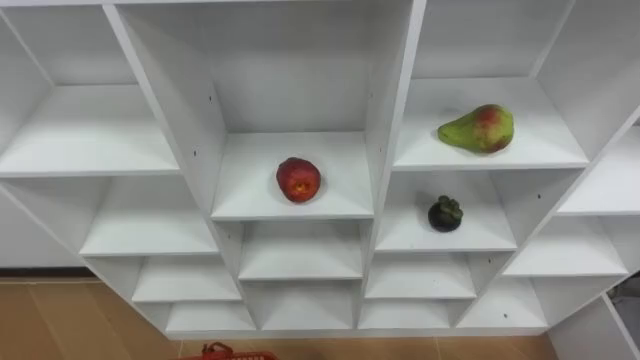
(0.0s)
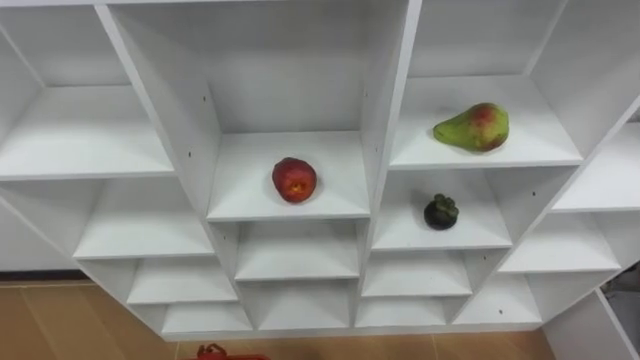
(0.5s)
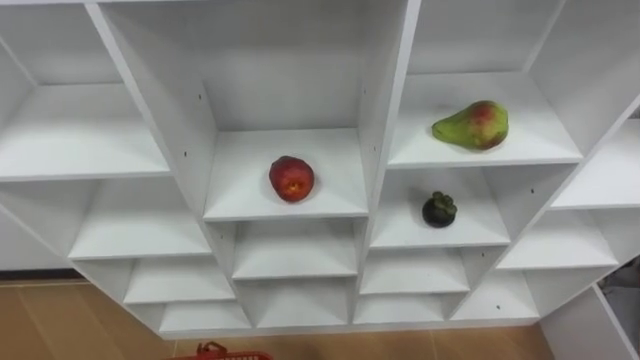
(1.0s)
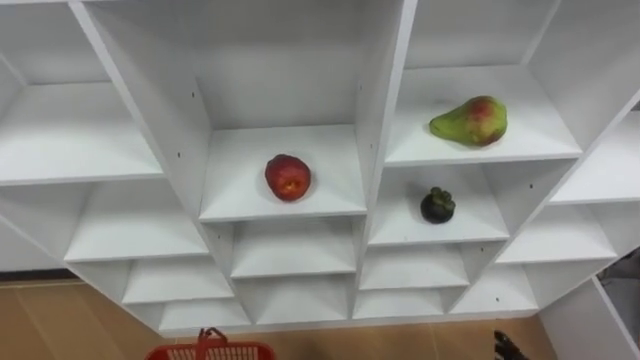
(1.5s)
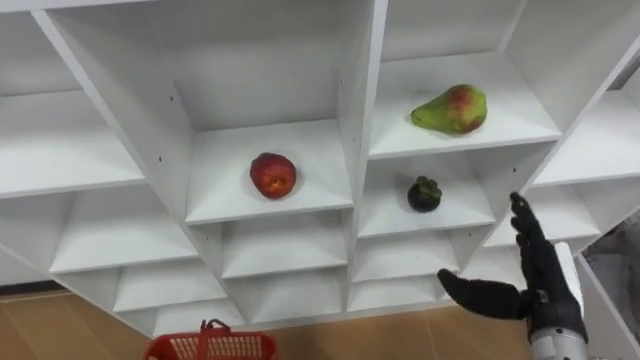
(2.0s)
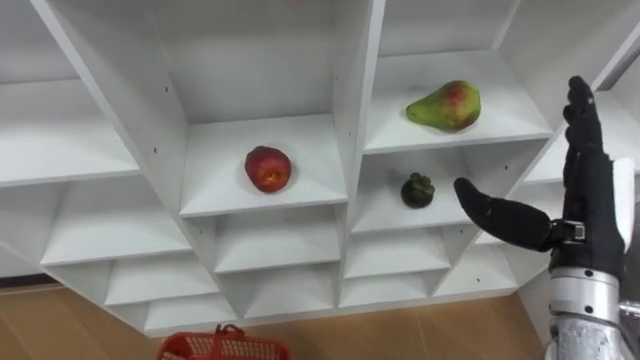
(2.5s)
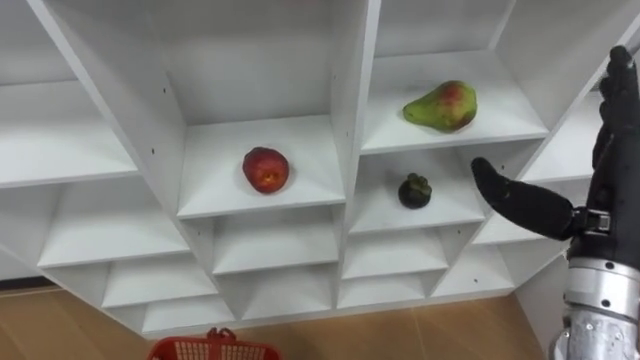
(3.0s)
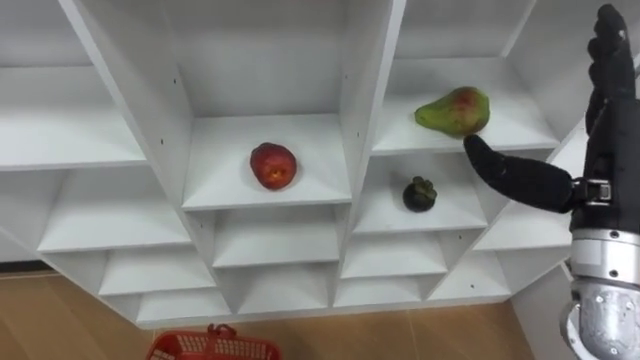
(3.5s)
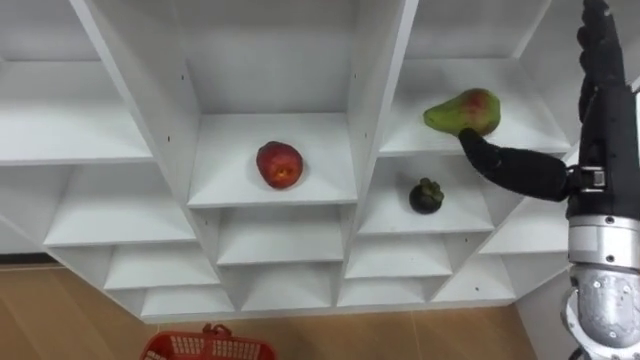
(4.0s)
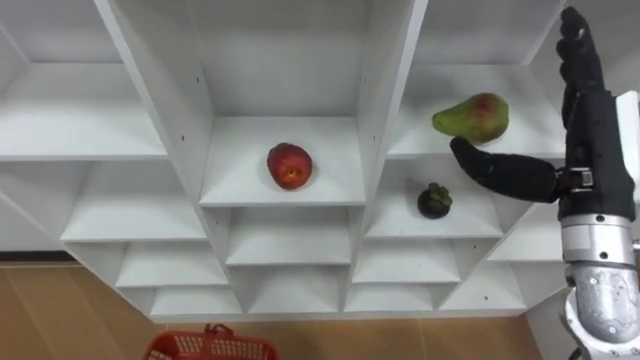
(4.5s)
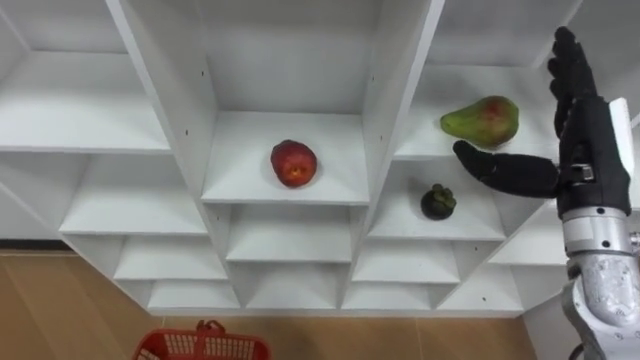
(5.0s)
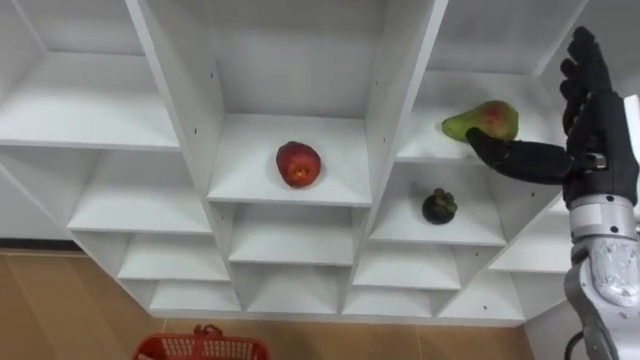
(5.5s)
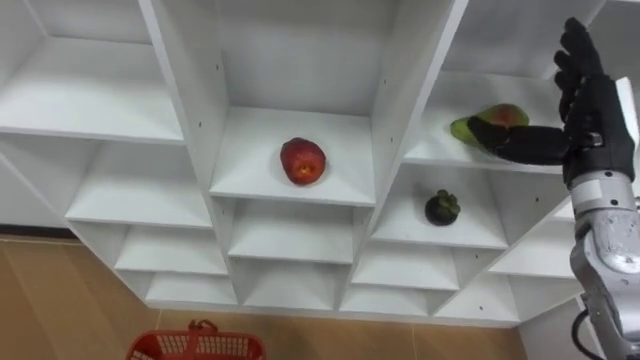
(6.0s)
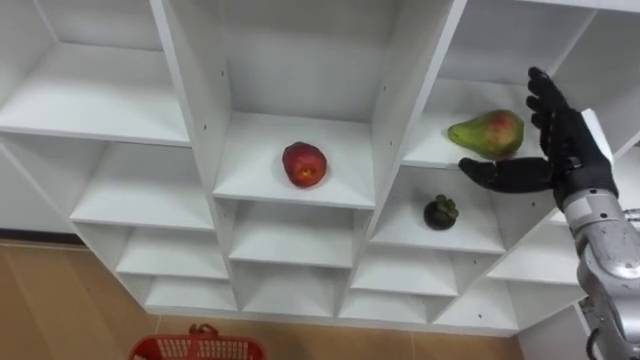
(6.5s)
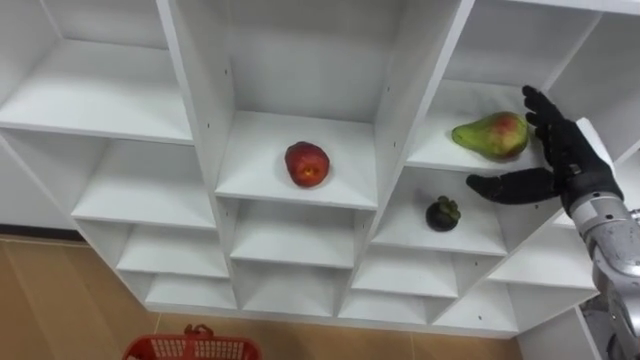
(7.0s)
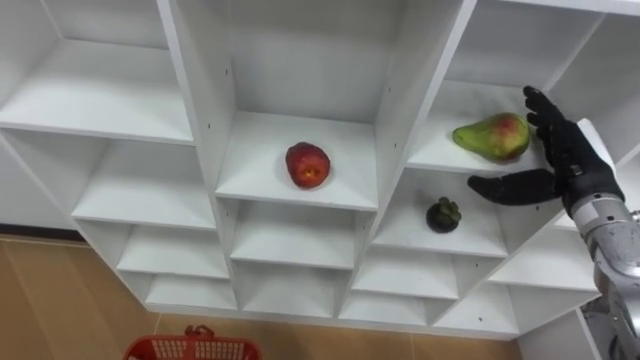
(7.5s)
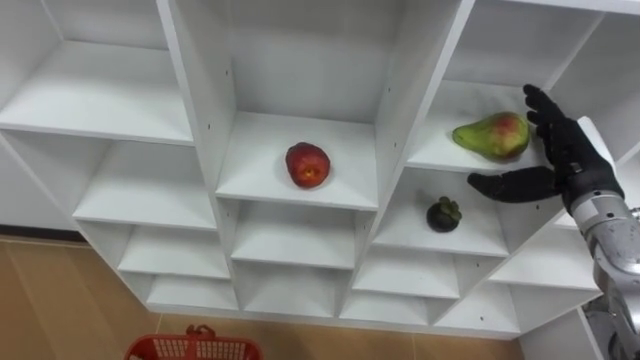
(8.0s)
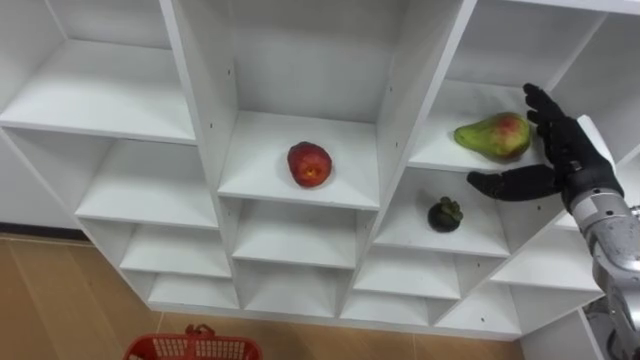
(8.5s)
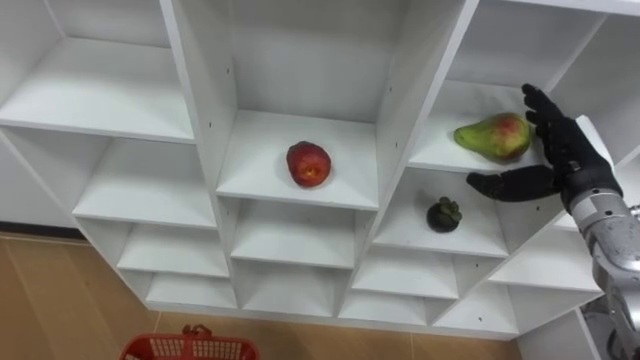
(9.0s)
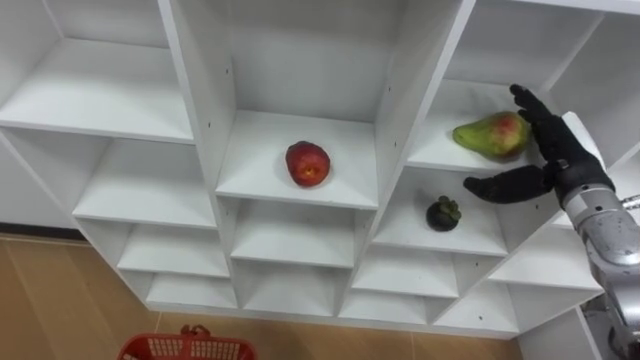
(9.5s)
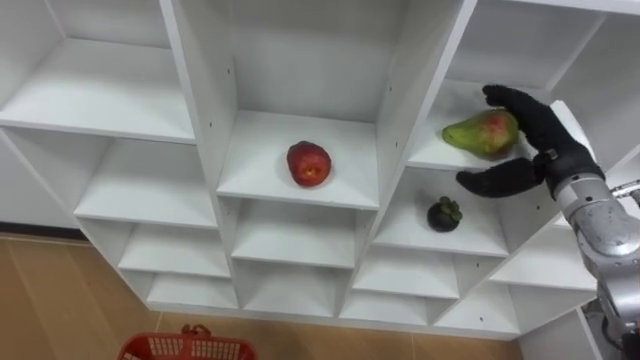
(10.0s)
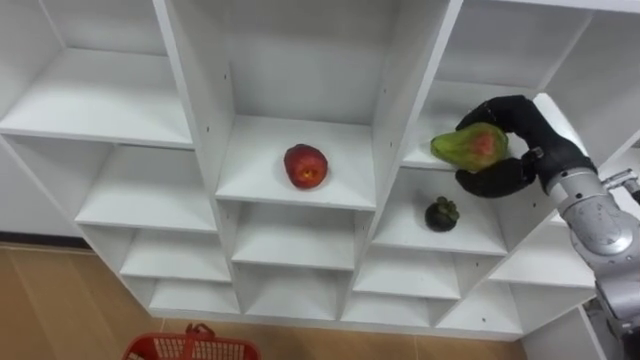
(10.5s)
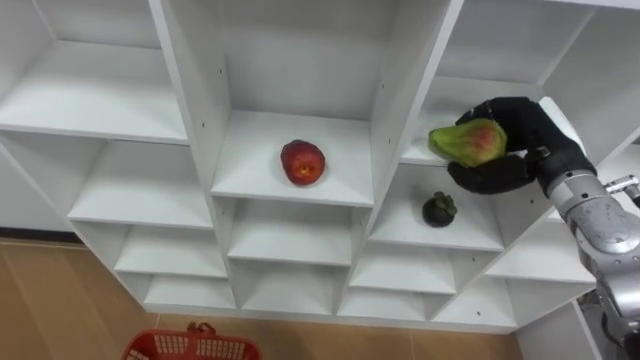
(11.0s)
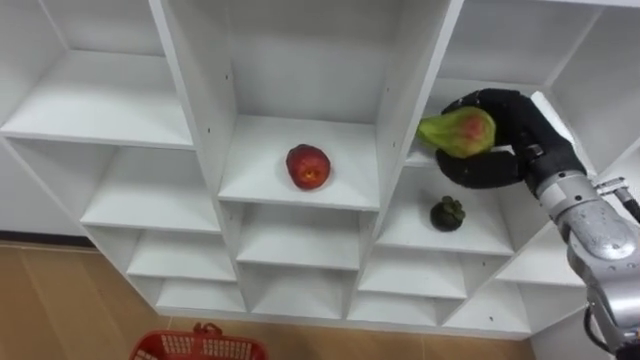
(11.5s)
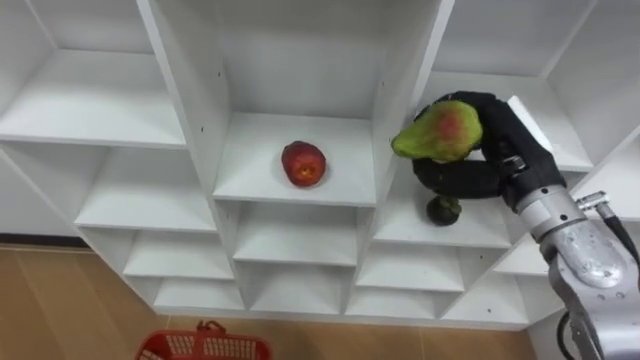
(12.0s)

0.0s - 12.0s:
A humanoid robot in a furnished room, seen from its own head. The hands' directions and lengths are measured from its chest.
Task of the whole recording: Hold the basket and collect the fruits from 3 different cells of the closet into it.
2.0s - 4.0s: The right hand travels upward by some 20 cm.
4.0s - 6.0s: The right hand shifts some 5 cm forward.
6.0s - 8.0s: The right hand shifts about 5 cm downward.
10.0s - 12.0s: The right hand moves to the left, about 5 cm, and closes.

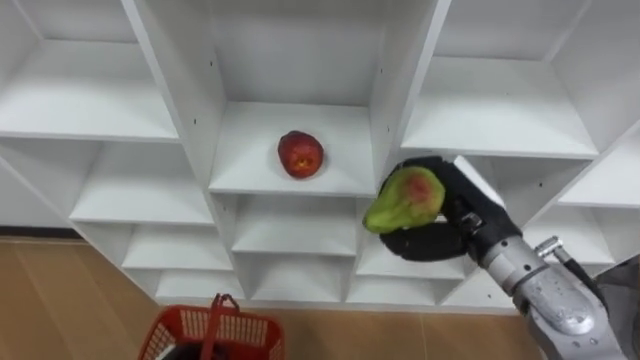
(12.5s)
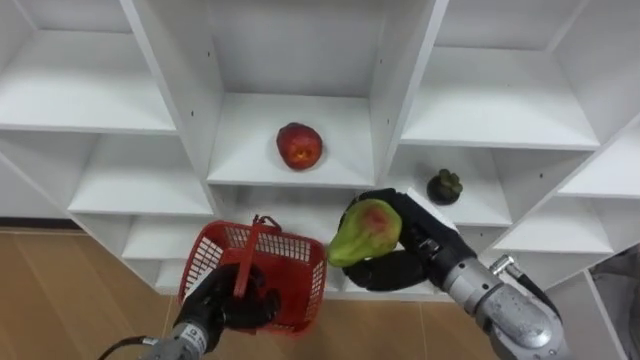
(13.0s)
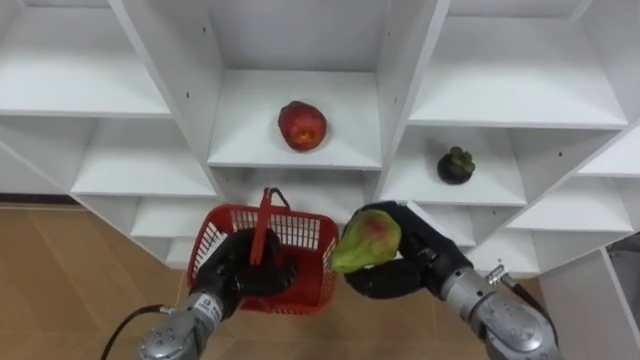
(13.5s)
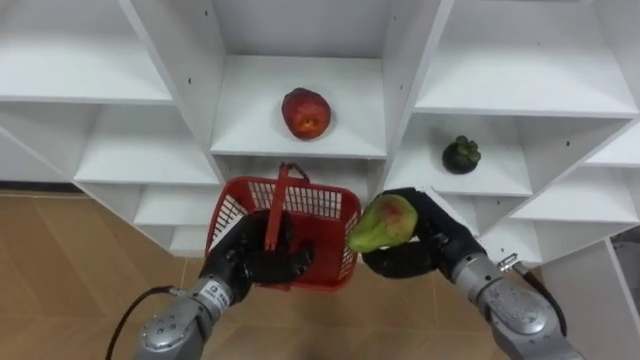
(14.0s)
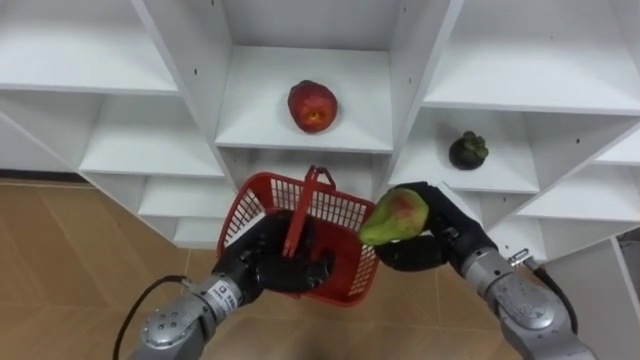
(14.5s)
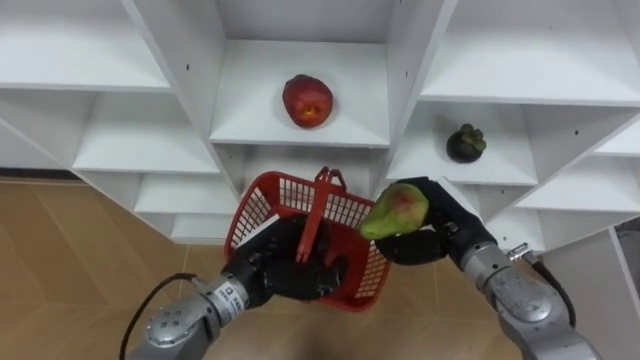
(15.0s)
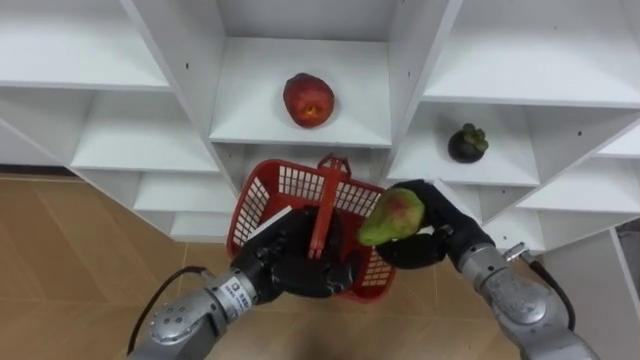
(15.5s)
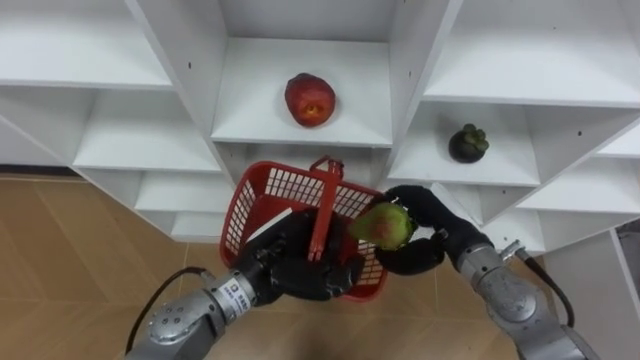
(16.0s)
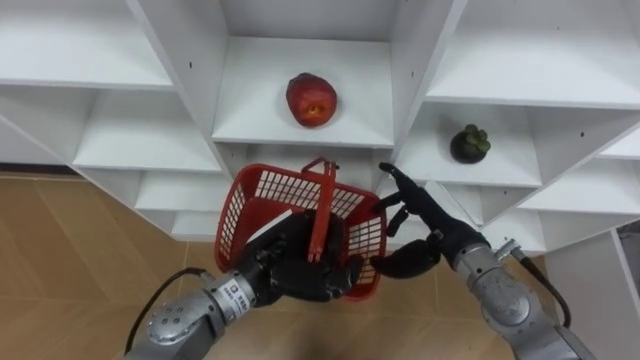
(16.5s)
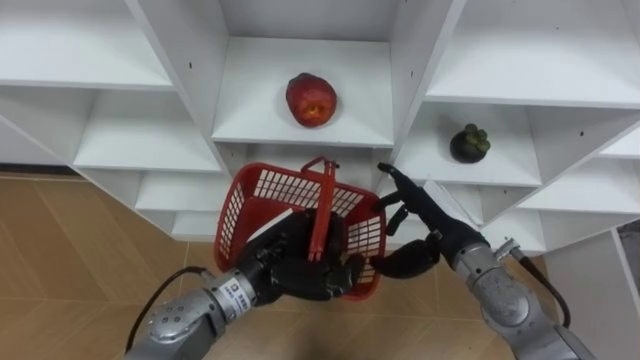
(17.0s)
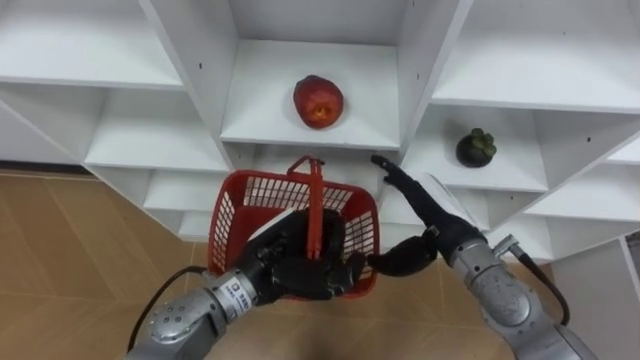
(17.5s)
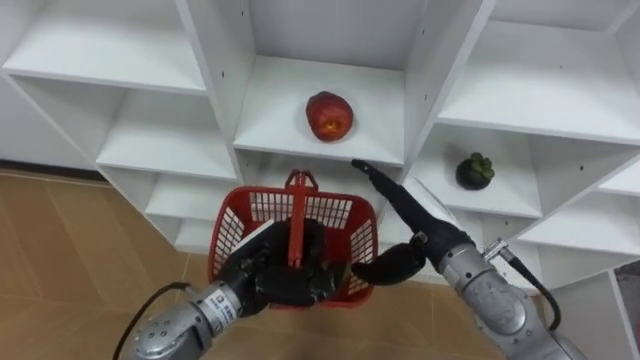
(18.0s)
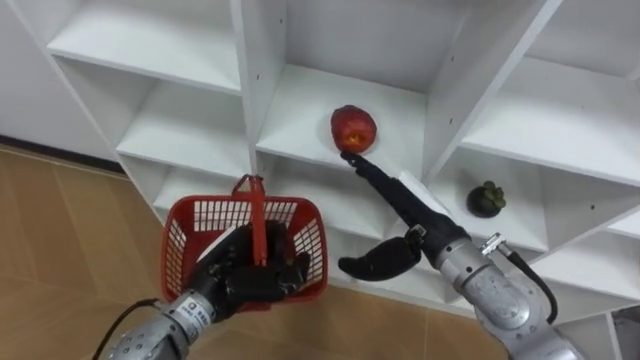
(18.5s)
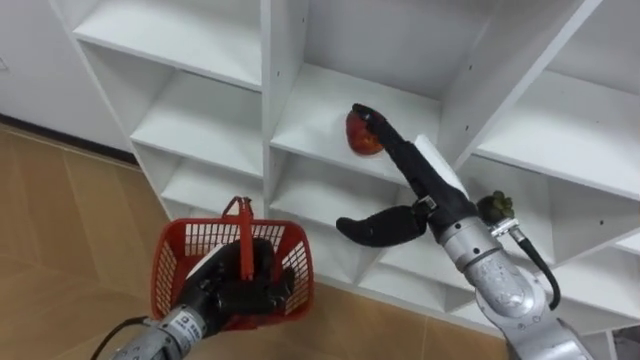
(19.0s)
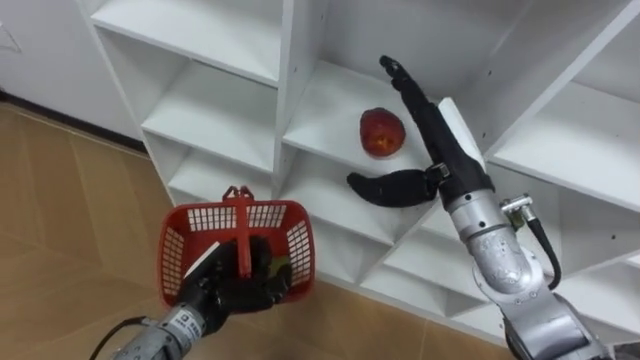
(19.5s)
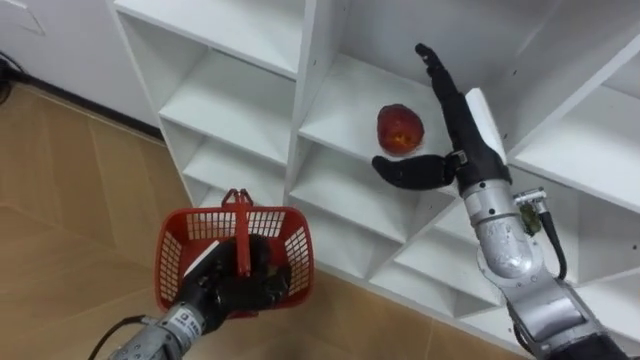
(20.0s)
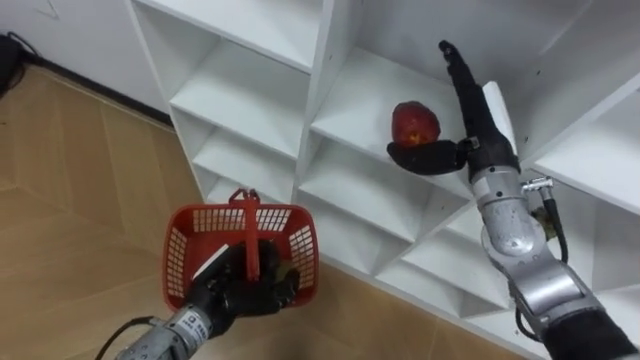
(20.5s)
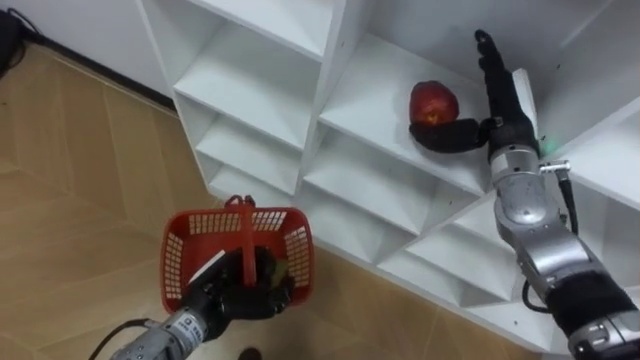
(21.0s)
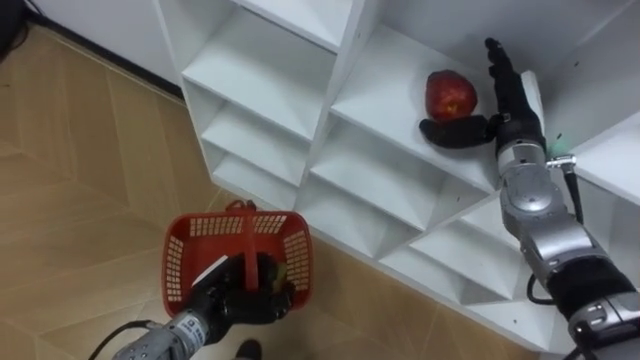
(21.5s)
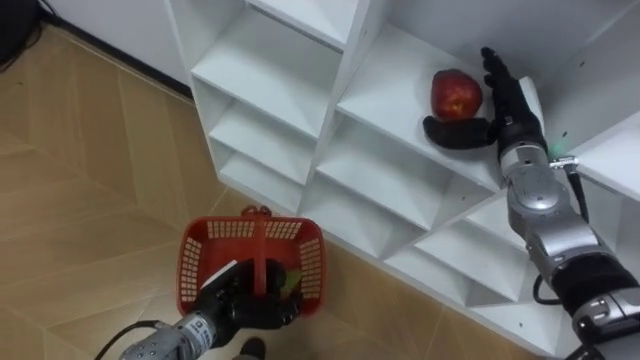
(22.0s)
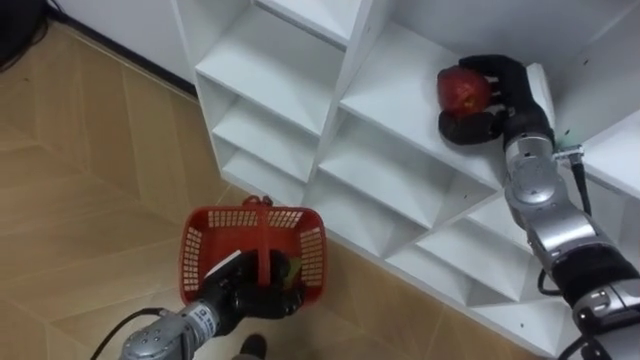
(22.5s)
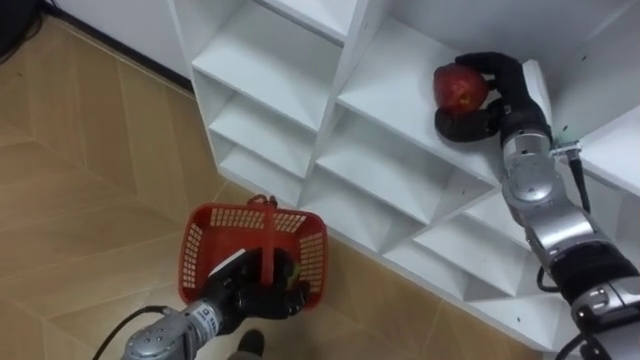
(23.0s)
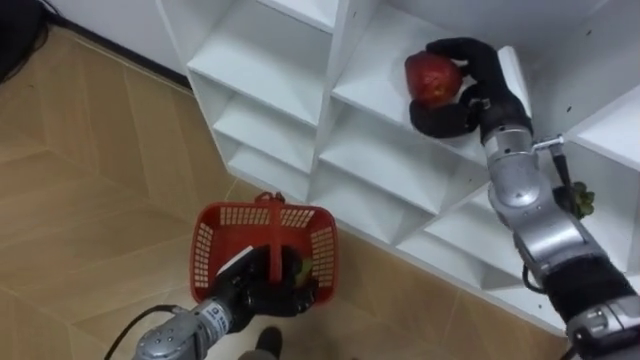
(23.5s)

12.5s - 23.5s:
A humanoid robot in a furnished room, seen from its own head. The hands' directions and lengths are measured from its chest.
Task of the whole recording: Hold the basket and collect the fruits from 3 different cells of the closet into it.
12.5s - 14.5s: The right hand moves downward, about 5 cm.
16.0s - 18.0s: The right hand opens.
18.0s - 20.0s: The right hand is displaced upward by approximately 10 cm, while the left hand shifts roughly 5 cm to the left.
20.0s - 21.5s: The right hand goes some 10 cm to the right and forward.
21.5s - 23.5s: The right hand closes.
